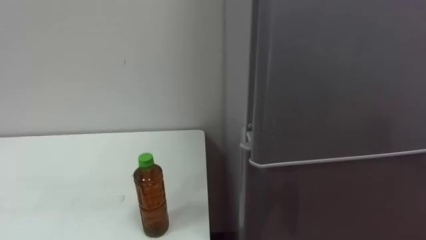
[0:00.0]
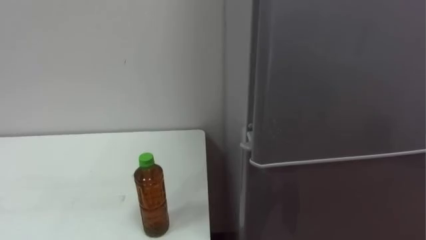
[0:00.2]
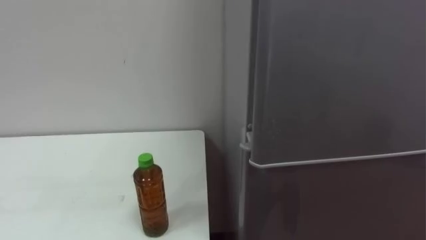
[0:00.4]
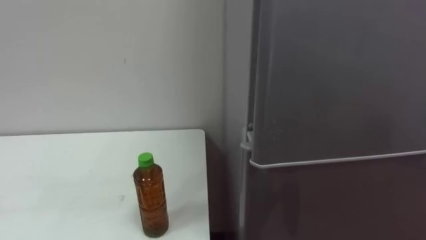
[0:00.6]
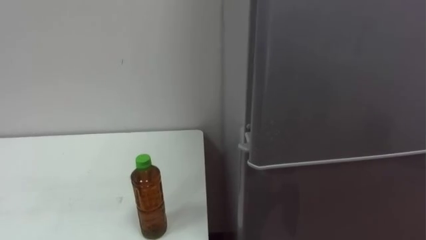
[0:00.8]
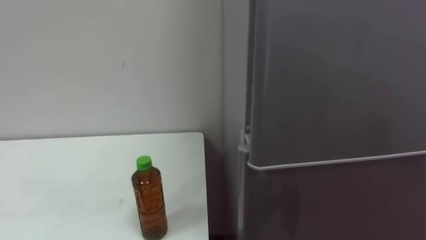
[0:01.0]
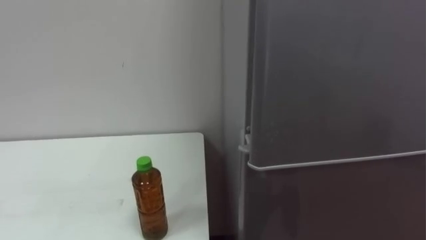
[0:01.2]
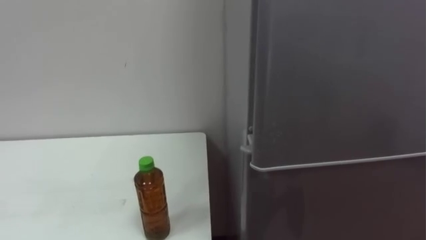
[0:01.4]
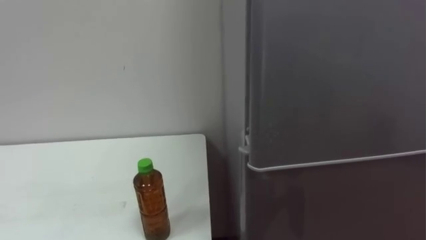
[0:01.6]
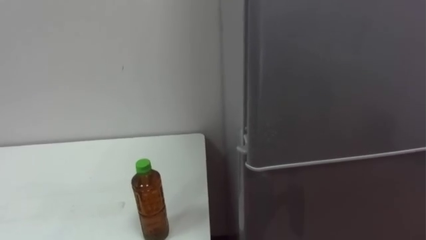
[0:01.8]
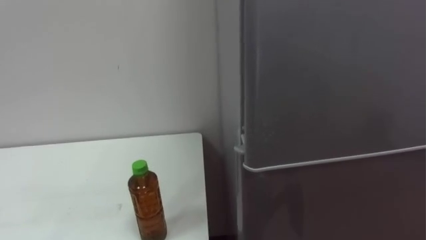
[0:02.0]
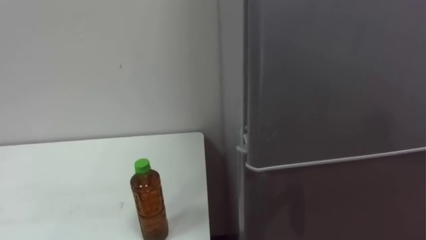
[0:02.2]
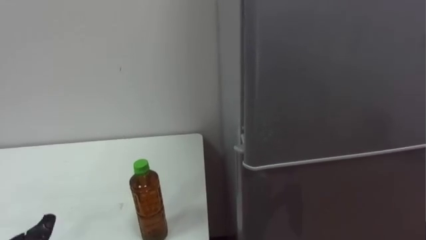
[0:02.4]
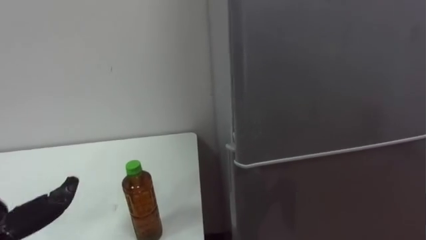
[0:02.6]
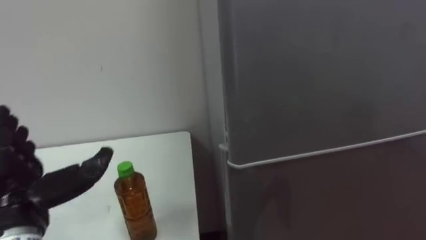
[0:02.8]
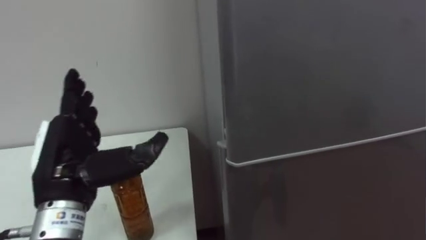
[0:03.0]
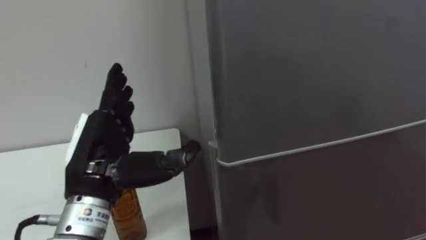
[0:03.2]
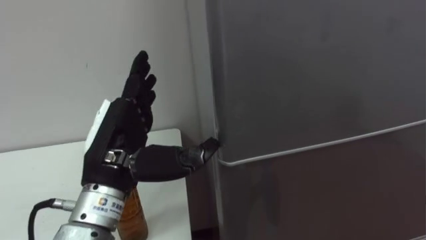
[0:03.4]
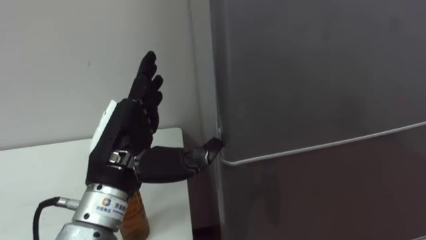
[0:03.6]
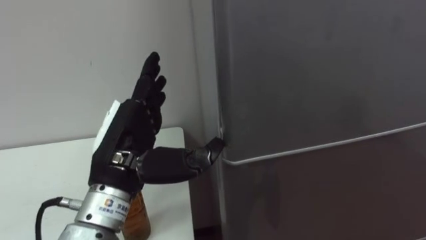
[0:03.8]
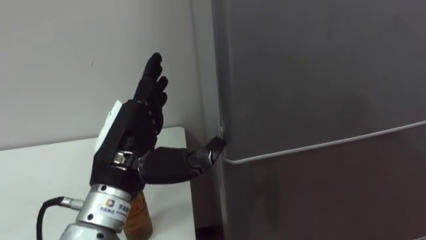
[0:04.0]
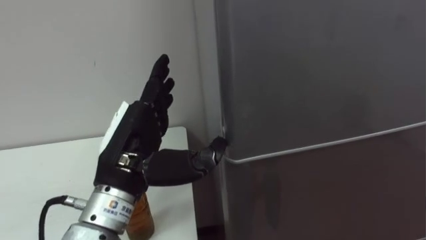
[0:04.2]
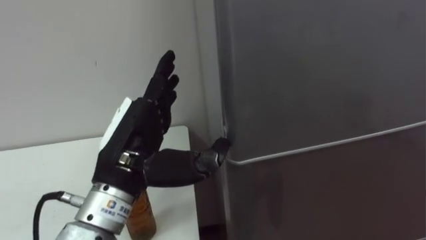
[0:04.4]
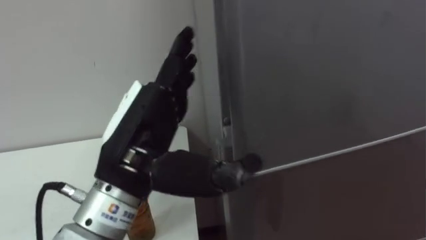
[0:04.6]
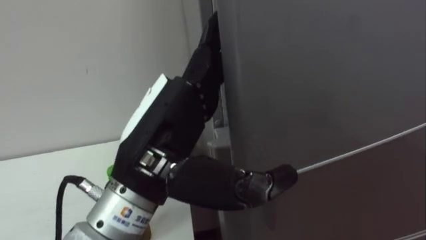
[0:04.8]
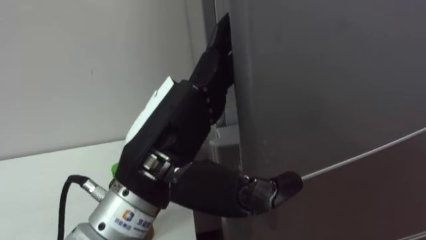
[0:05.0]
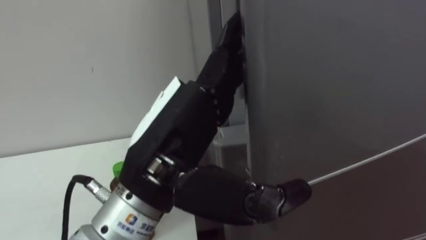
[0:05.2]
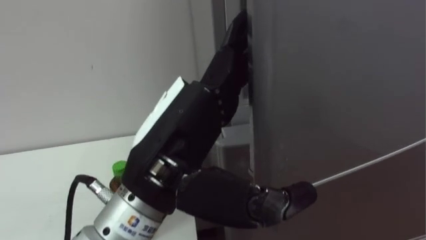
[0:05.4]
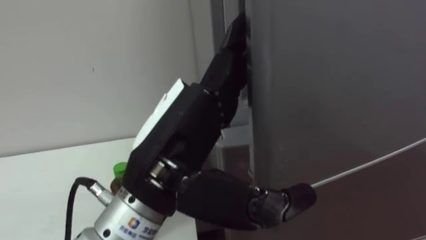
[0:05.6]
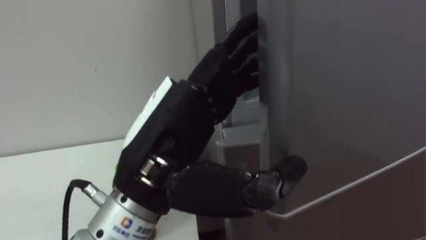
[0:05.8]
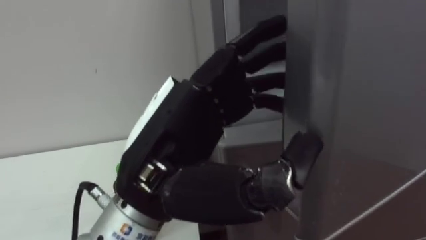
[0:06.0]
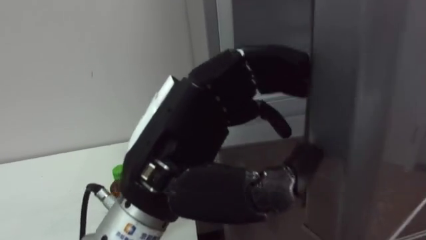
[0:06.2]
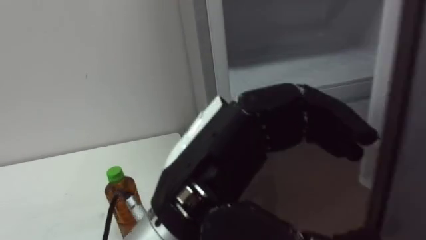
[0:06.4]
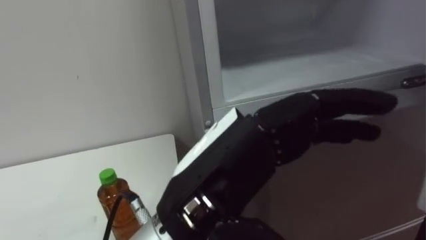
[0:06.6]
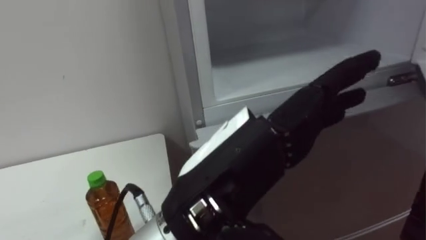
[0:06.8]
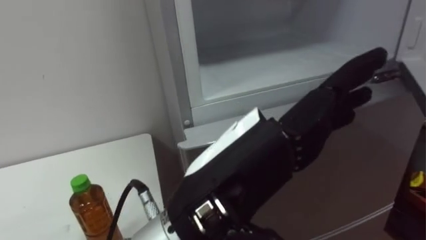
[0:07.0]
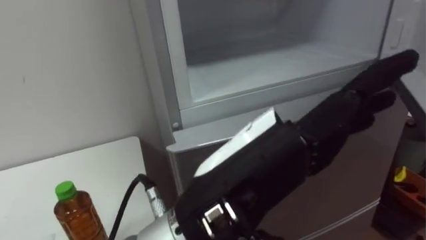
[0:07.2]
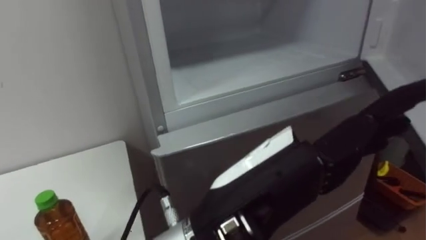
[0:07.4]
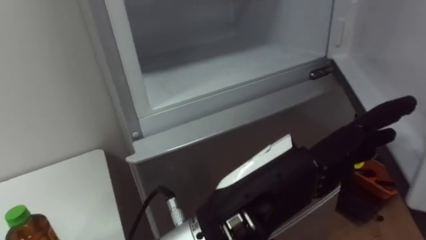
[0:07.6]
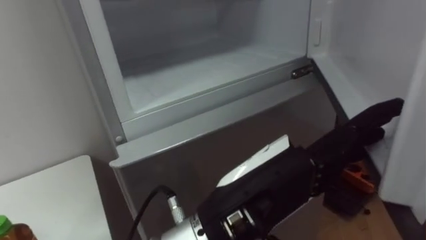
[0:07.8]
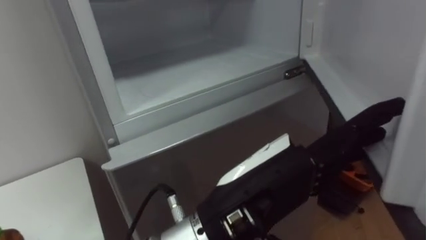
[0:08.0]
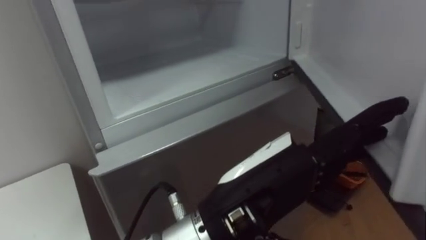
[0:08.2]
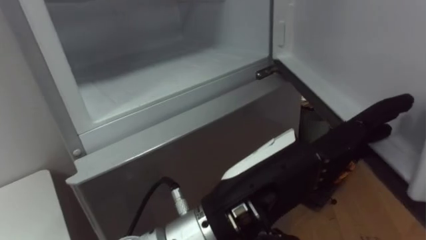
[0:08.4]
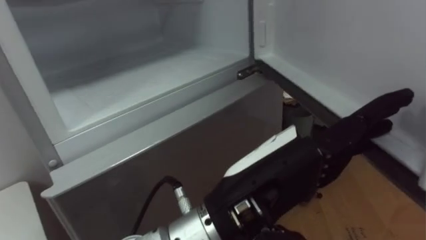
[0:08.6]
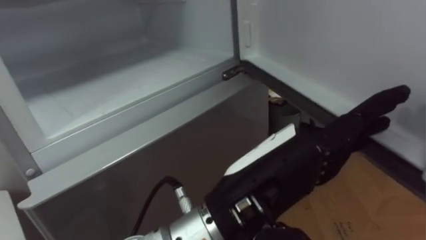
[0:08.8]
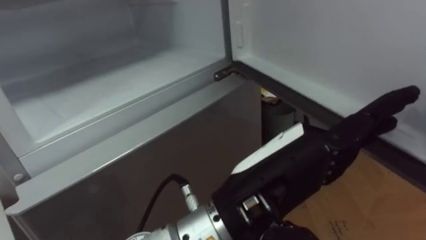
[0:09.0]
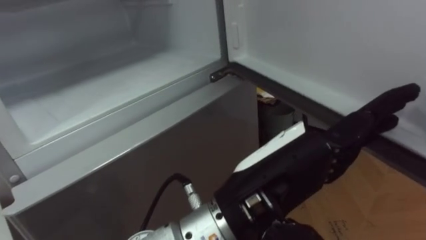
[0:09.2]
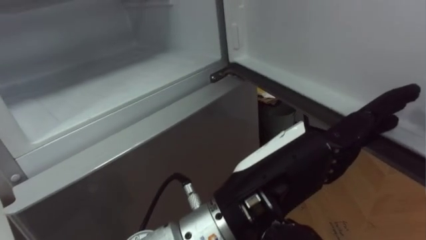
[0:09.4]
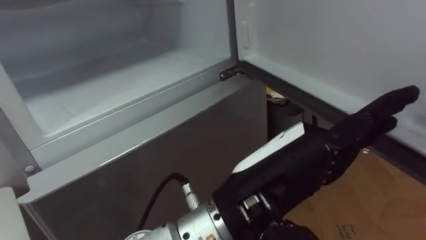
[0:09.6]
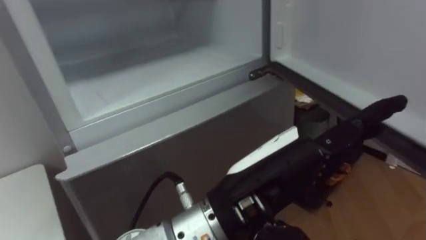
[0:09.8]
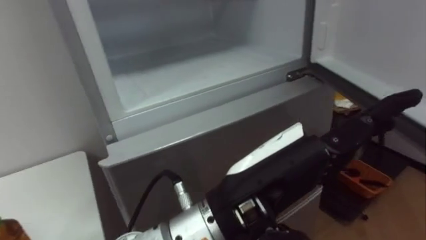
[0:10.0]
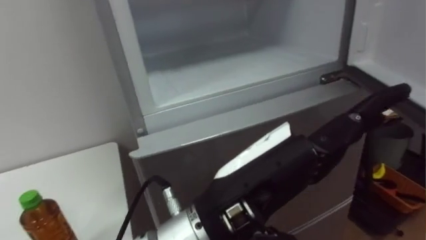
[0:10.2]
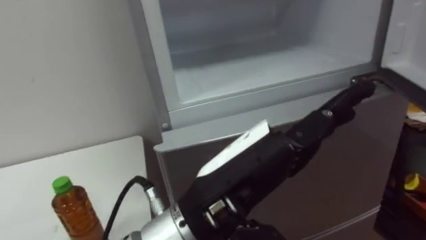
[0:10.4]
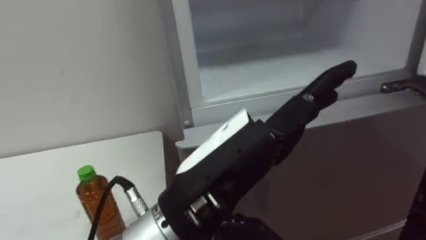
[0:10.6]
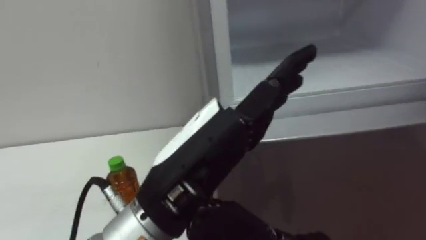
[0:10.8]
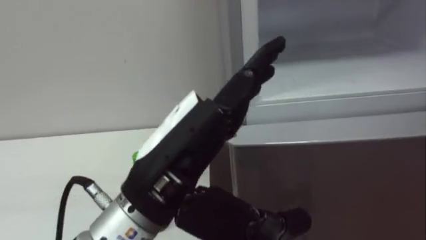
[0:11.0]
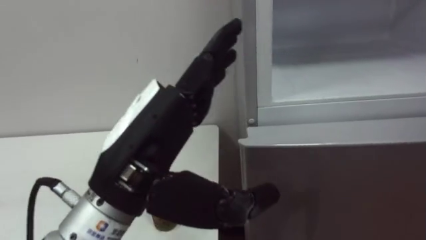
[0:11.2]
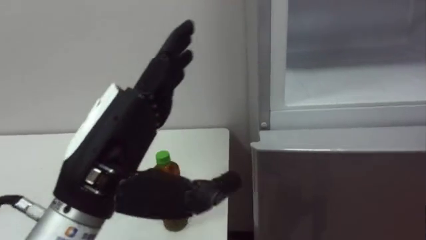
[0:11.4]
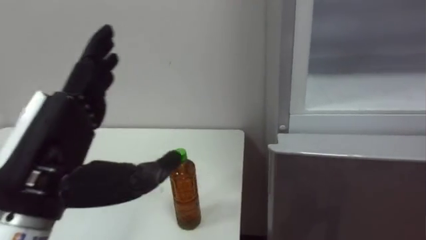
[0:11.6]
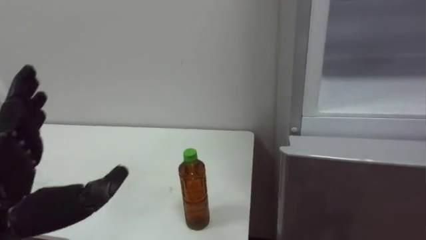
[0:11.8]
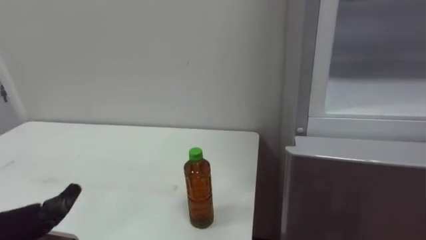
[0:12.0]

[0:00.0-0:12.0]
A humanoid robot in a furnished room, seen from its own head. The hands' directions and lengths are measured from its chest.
Task of the whole recording: Open the upper refrigerator door, put the drink from the table into the refrigerator, and then close the refrigerator door.
0:03.0 to 0:04.4: The left hand shifts some 10 cm to the right.
0:04.4 to 0:06.0: The left hand is displaced backward and to the right by roughly 10 cm.
0:06.0 to 0:07.6: The left hand is displaced to the right by roughly 10 cm.

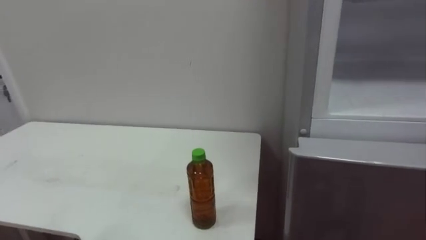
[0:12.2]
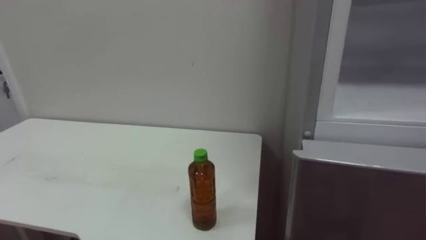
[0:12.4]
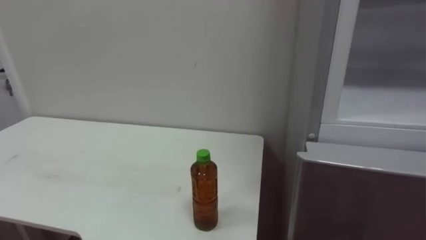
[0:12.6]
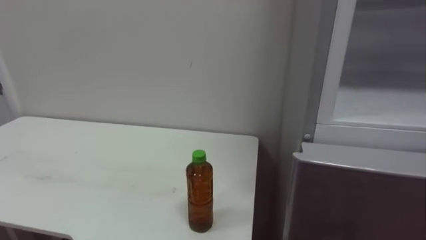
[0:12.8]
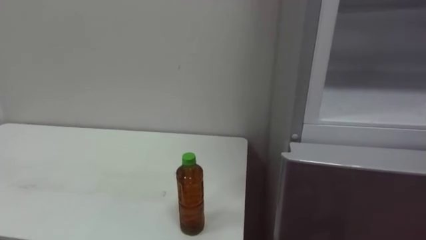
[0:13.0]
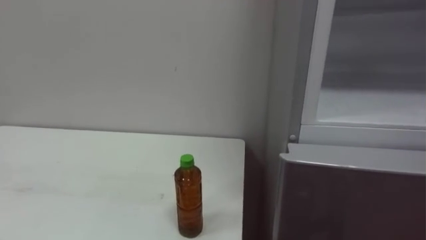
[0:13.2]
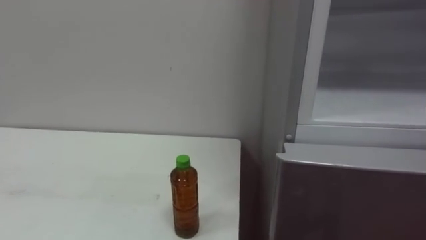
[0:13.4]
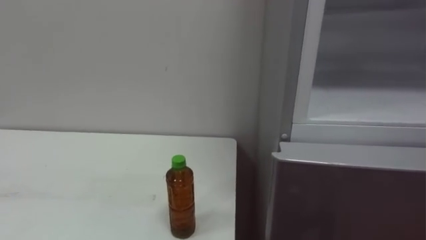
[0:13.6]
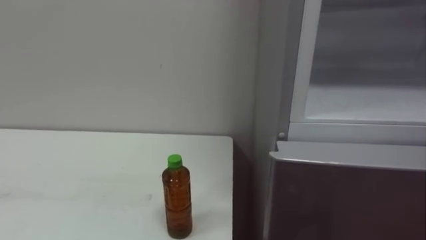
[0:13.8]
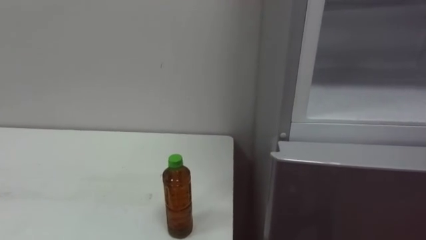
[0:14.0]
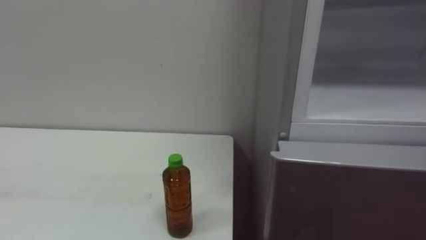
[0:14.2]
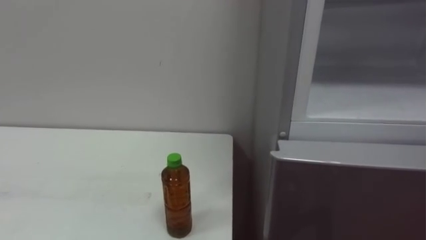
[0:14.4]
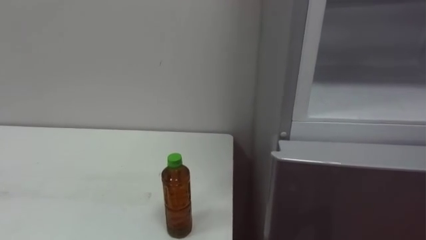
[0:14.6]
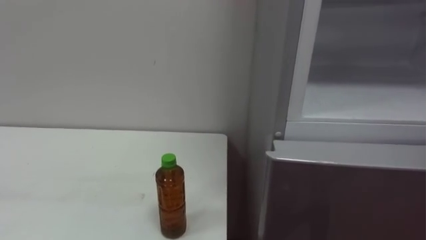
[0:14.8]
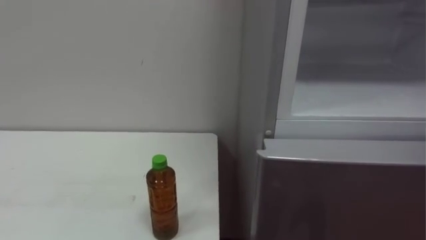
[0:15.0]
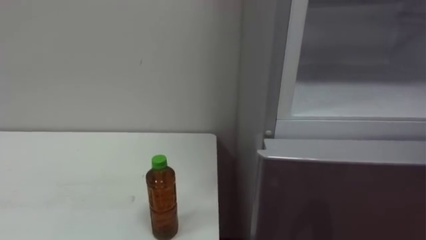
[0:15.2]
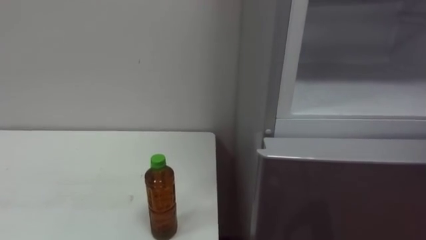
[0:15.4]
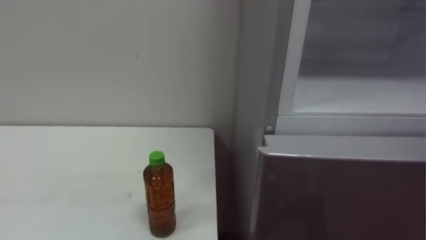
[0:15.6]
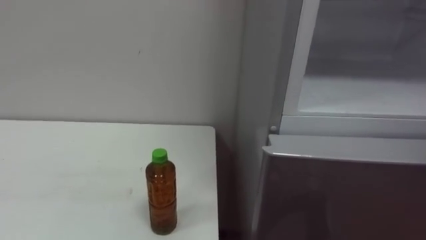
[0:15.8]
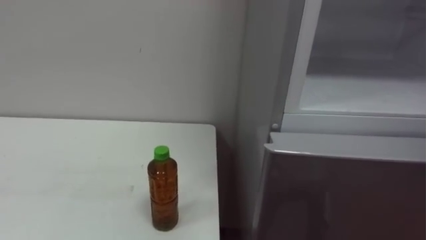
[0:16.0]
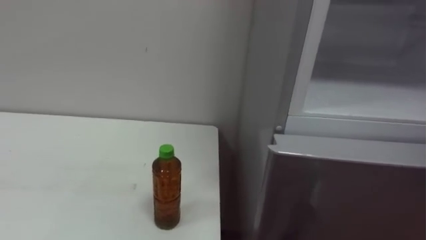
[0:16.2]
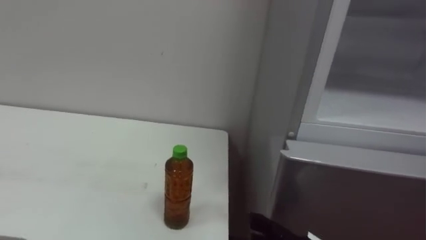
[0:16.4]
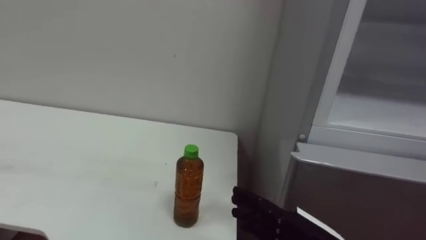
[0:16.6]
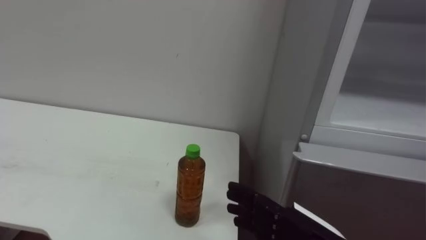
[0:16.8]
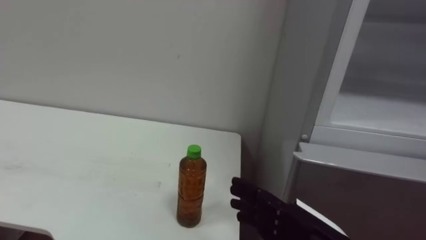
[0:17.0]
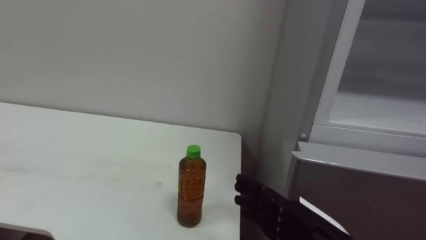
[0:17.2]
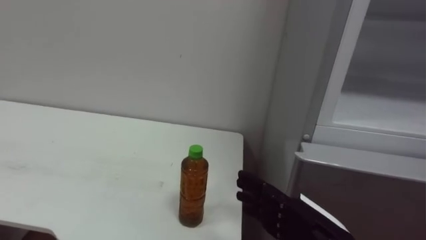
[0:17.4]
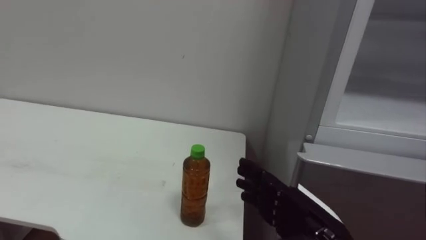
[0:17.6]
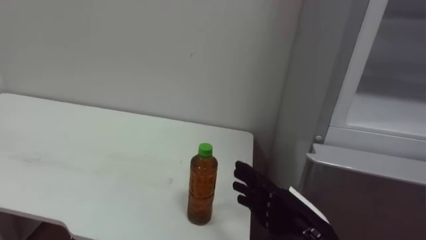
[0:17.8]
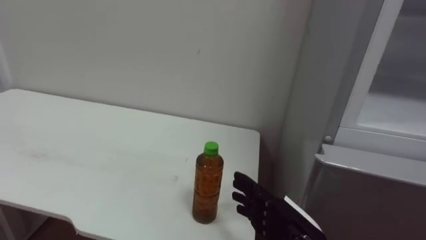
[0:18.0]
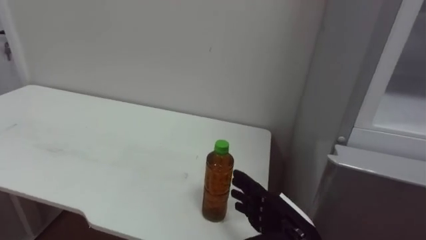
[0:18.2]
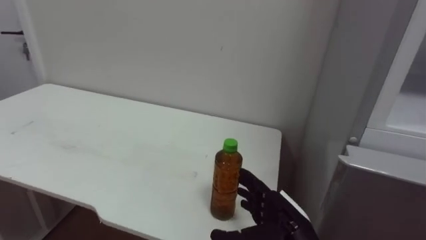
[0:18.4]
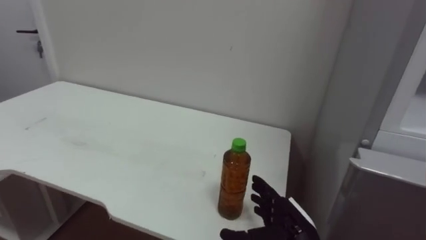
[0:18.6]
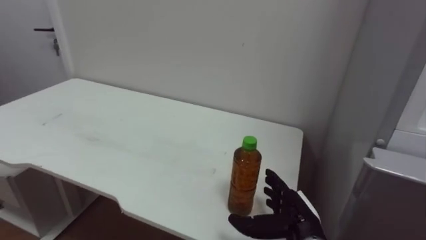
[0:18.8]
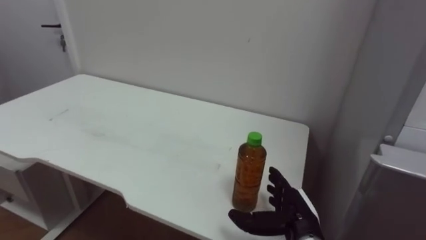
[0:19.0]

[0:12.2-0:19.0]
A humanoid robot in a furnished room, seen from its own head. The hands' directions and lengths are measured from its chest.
Task of the whole recording: Open the upper refrigerator door, put the drink from the table into the refrigerator, and then close the refrigerator door.
0:17.6 to 0:19.0: The right hand is displaced downward and forward by approximately 10 cm.
